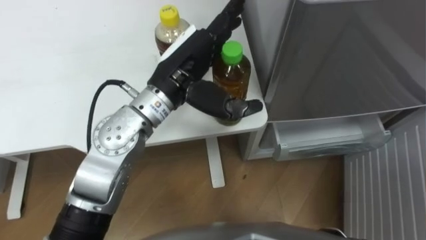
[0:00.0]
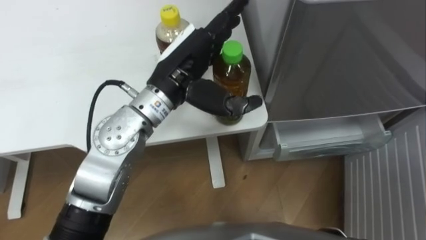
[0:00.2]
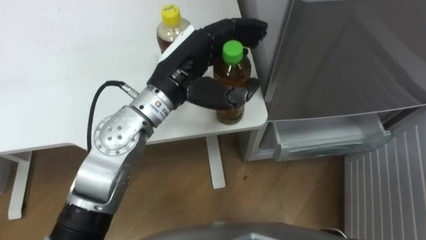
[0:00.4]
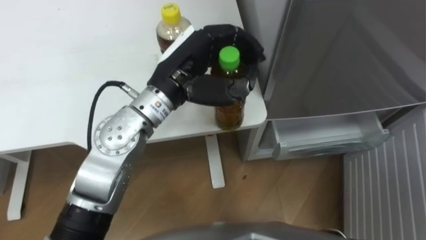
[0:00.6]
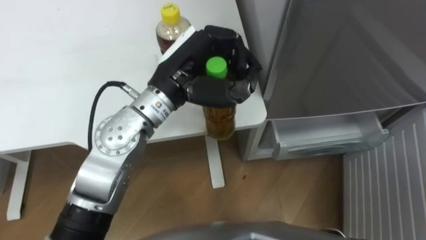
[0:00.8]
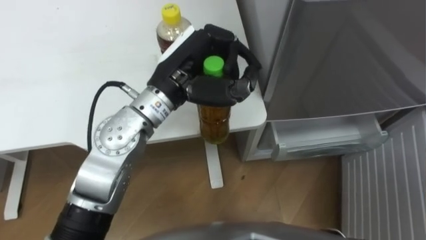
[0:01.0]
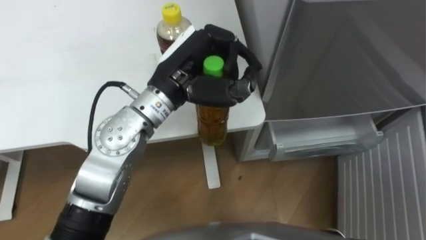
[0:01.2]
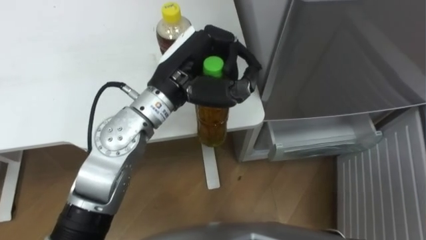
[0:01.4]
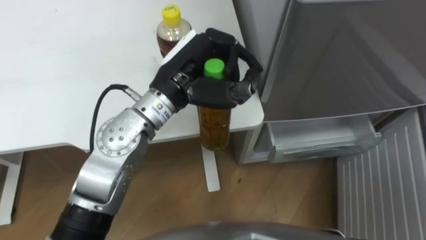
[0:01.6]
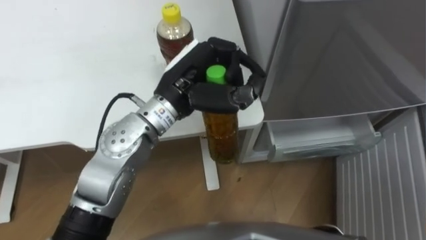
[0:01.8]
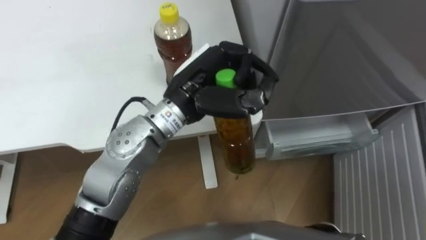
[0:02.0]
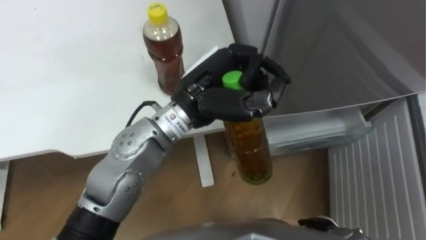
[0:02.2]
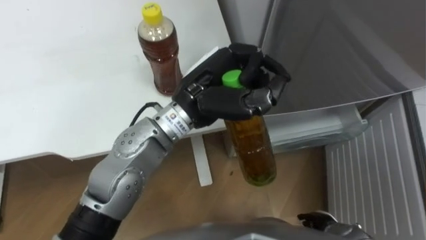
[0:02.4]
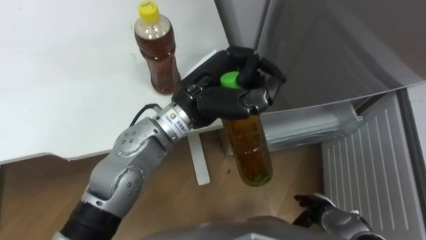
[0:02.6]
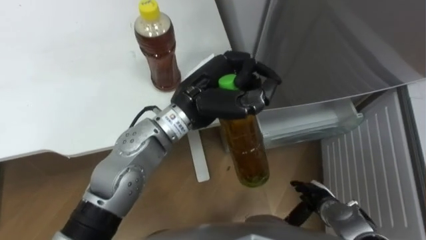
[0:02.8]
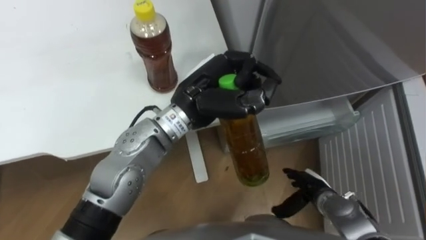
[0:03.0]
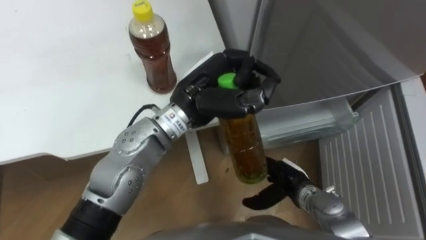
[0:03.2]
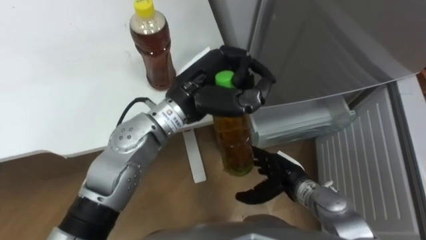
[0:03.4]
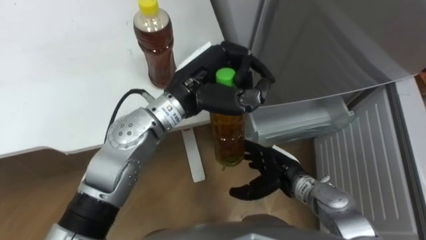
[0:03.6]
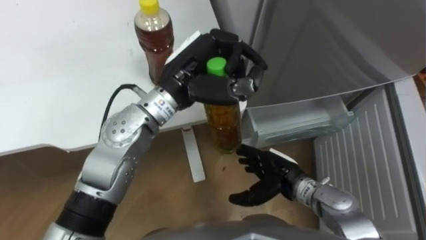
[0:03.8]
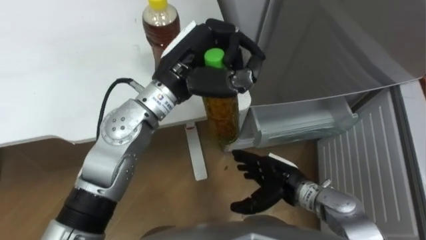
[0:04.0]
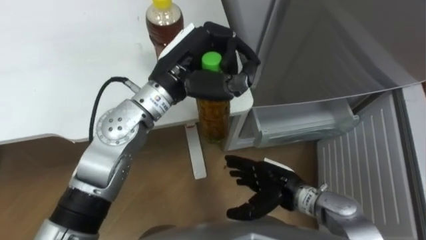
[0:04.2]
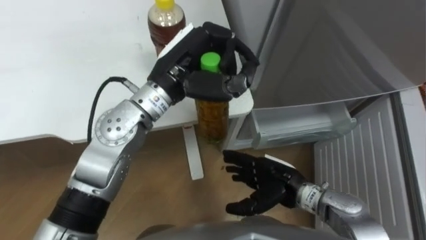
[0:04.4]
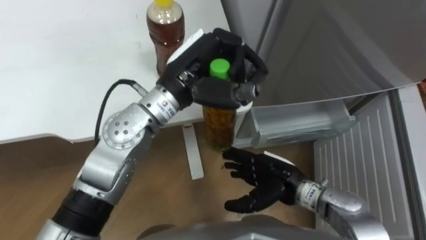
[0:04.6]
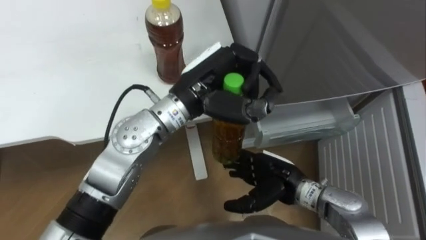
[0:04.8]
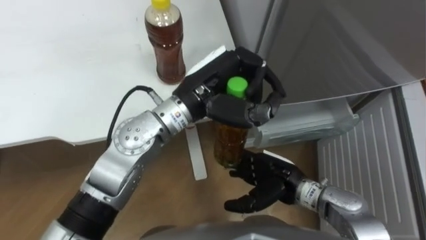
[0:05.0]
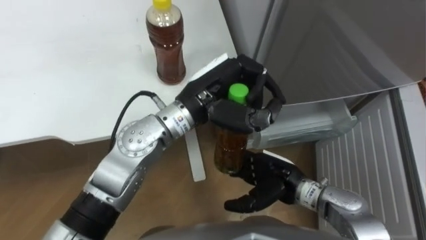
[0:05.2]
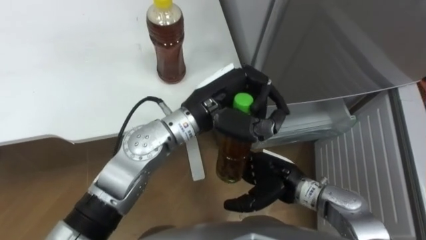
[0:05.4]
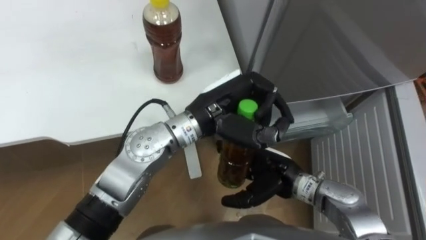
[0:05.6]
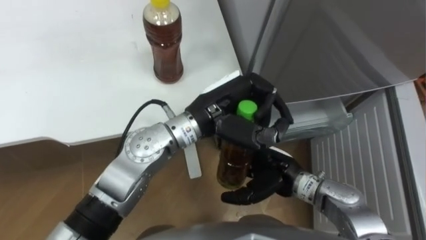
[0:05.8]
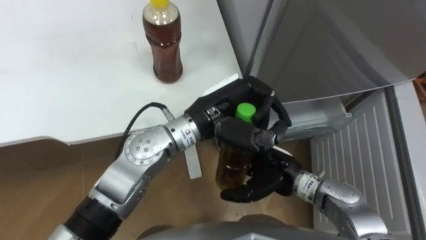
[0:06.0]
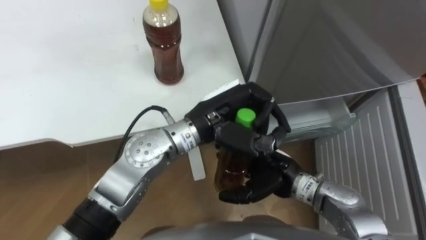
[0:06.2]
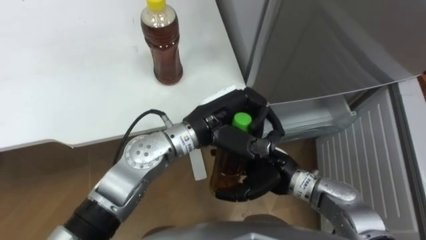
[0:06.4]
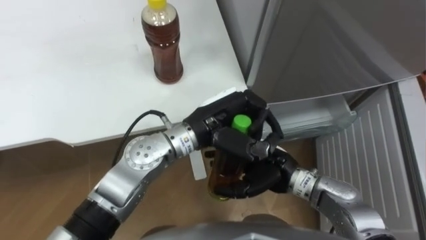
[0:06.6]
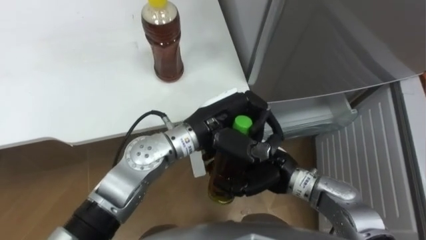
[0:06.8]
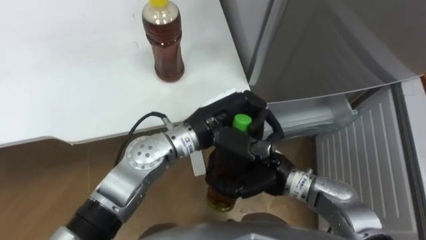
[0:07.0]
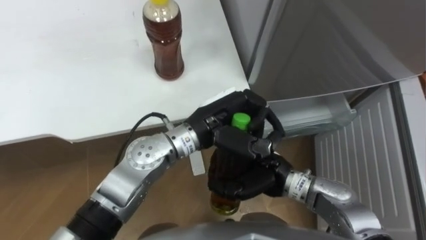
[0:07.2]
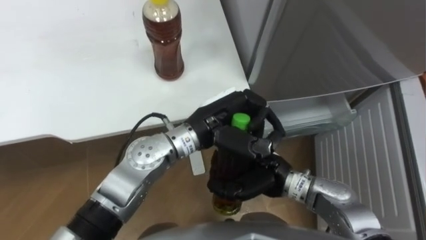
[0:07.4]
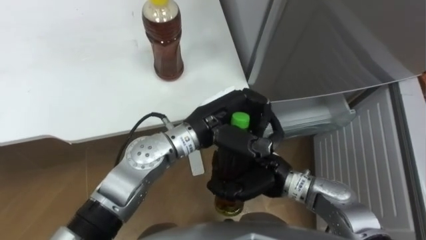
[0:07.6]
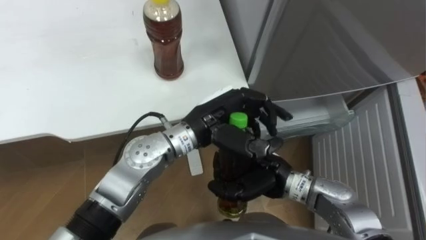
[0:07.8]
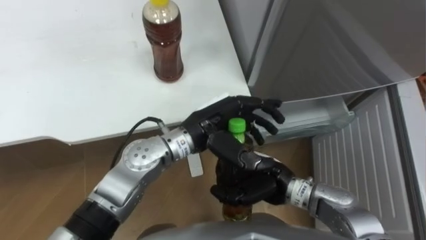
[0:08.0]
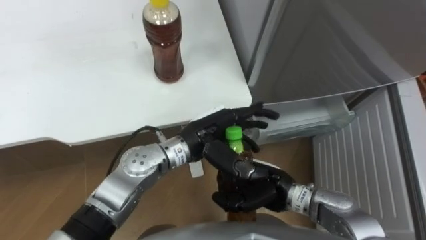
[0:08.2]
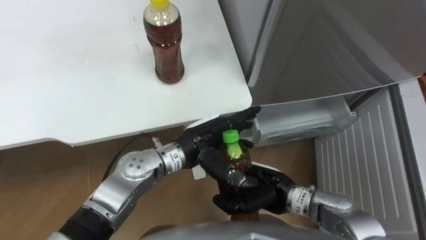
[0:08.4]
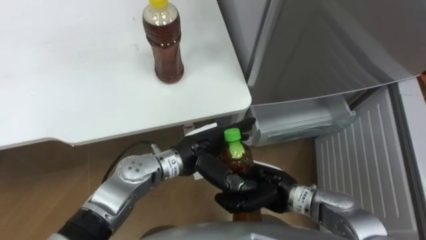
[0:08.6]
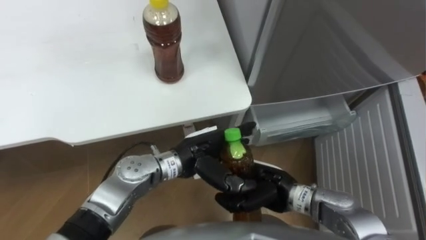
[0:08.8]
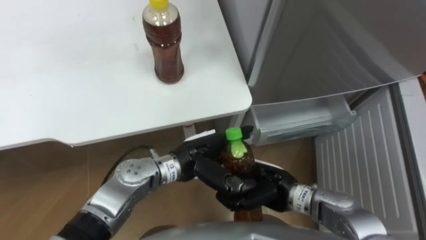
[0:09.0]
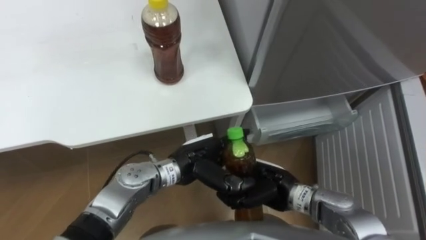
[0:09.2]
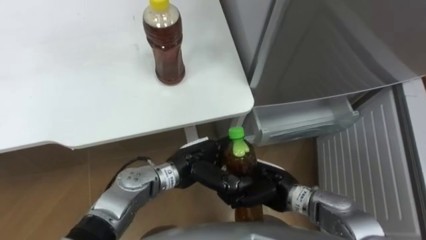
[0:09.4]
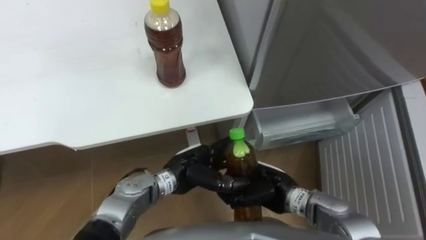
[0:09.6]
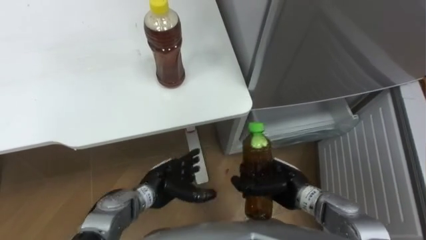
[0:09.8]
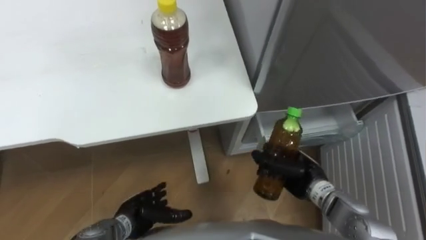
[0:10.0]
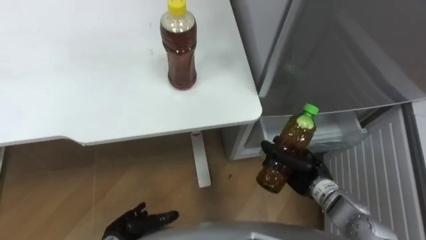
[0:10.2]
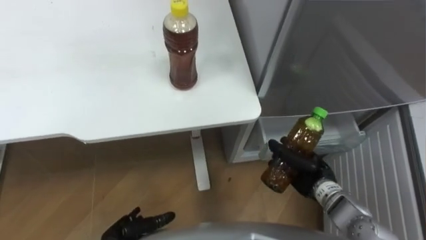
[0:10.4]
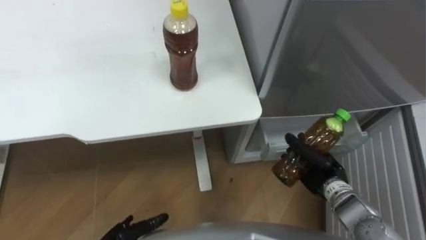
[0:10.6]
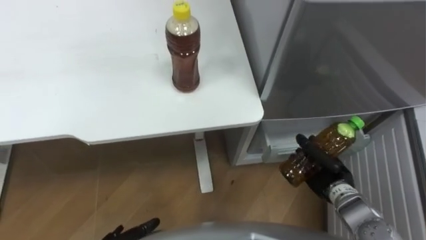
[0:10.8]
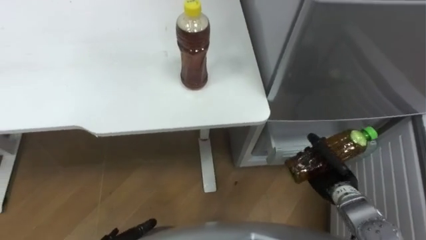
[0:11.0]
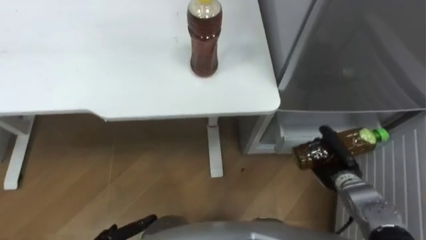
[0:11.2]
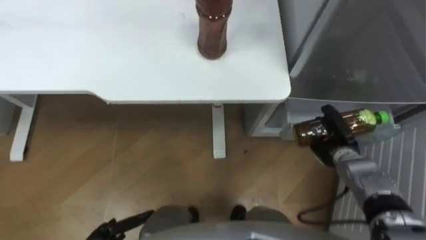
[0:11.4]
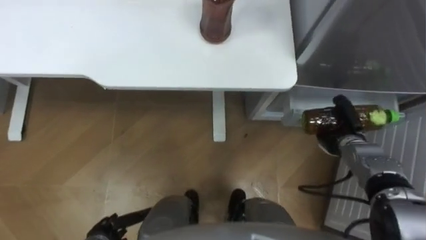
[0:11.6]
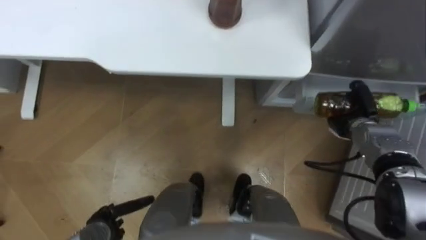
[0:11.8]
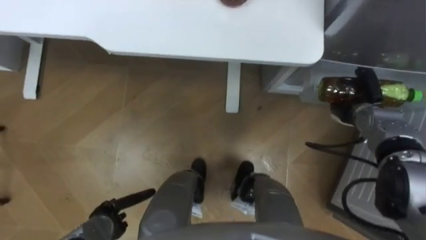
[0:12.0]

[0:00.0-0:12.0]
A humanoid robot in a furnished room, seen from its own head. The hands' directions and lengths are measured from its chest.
Task of the whole recording: Place the drink on the table on the bottom shelf of the refrigerator, then close the drawer and the refrigerator door.
0:00.0 to 0:01.6: The left hand closes its fingers.
0:03.0 to 0:04.4: The left hand changes place by roughly 5 cm; the right hand moves to the left and upward, roughly 10 cm.
0:04.4 to 0:06.0: The left hand shifts about 5 cm to the right.
0:06.0 to 0:07.6: The right hand closes up.
0:07.6 to 0:09.0: The left hand shifts about 10 cm downward, and opens up.
0:09.0 to 0:10.4: The right hand goes approximately 10 cm to the right. Meanwhile the left hand travels to the left, downward and backward by some 25 cm.
0:10.4 to 0:12.0: The right hand heads forward and to the right, covering roughly 15 cm.

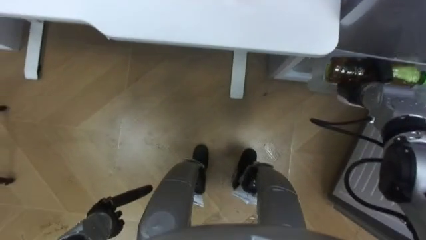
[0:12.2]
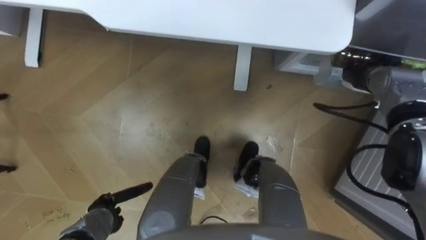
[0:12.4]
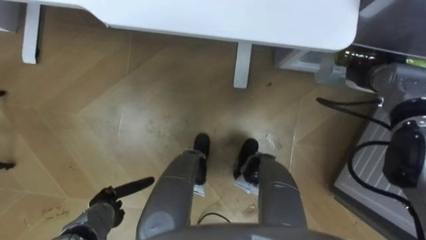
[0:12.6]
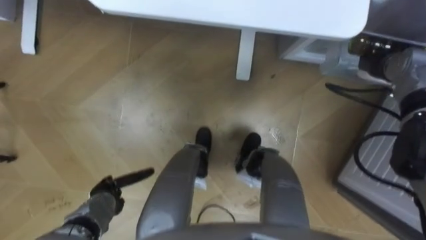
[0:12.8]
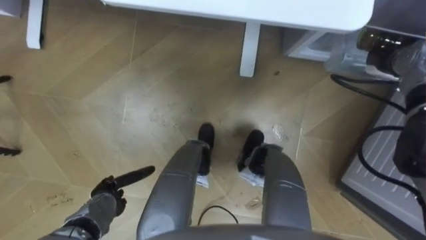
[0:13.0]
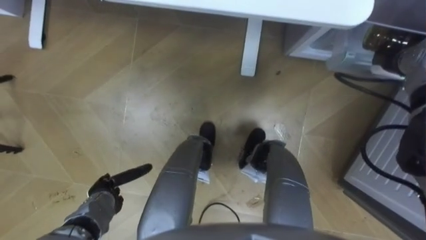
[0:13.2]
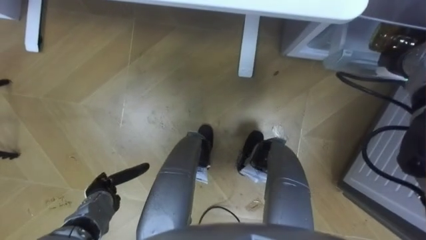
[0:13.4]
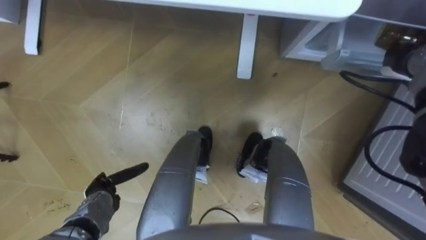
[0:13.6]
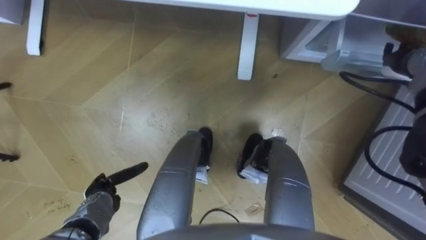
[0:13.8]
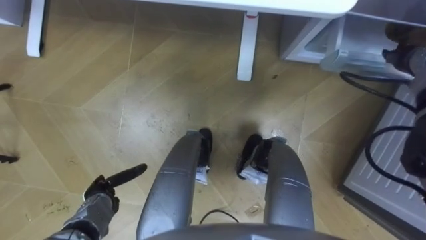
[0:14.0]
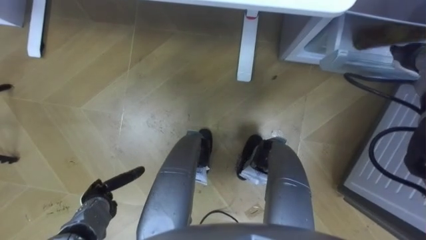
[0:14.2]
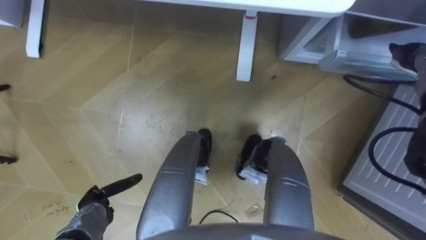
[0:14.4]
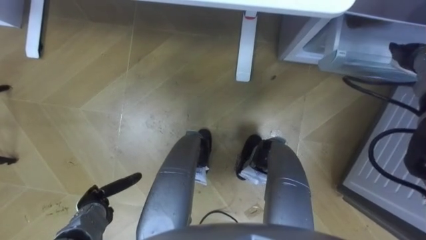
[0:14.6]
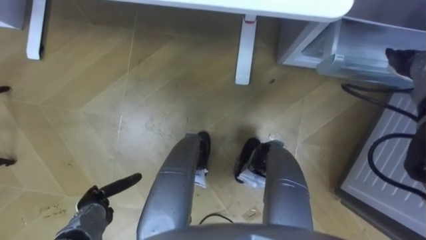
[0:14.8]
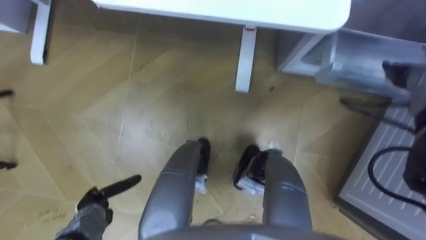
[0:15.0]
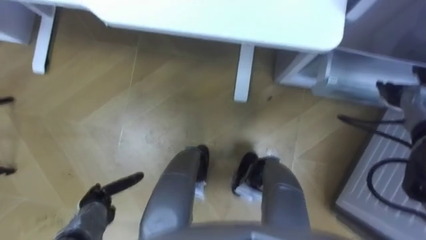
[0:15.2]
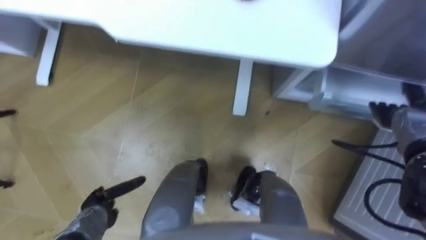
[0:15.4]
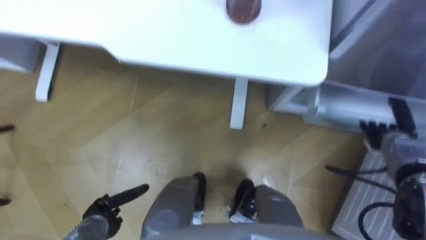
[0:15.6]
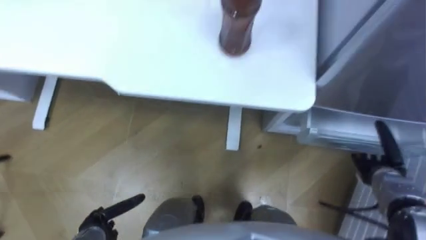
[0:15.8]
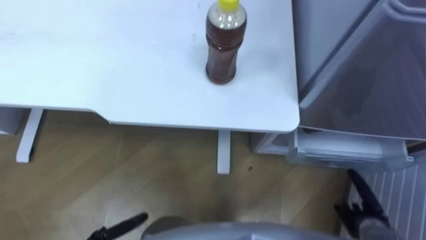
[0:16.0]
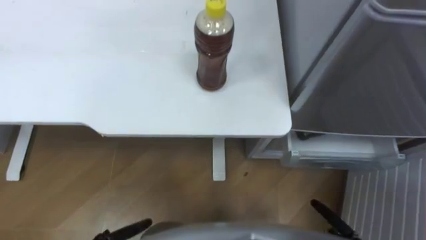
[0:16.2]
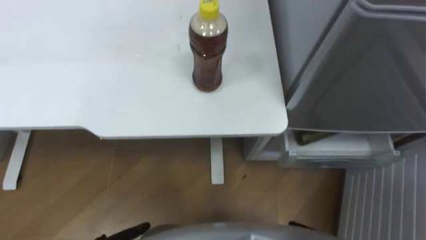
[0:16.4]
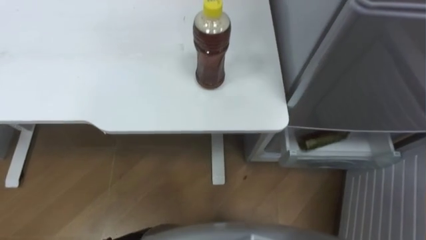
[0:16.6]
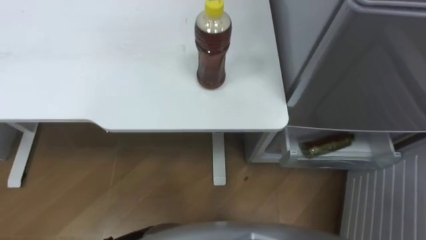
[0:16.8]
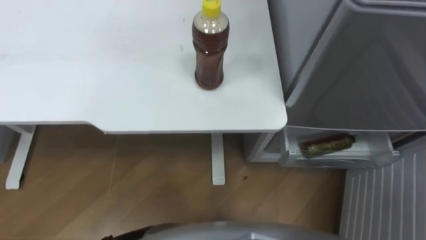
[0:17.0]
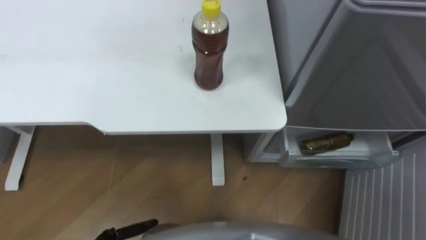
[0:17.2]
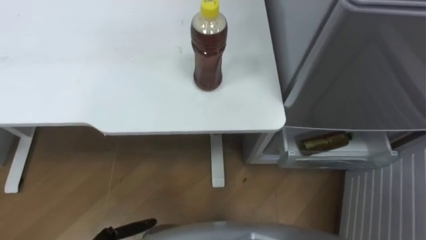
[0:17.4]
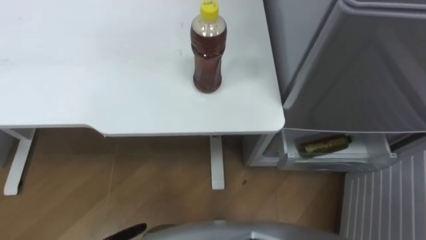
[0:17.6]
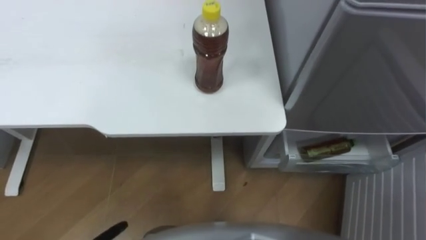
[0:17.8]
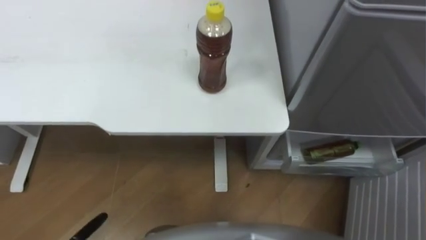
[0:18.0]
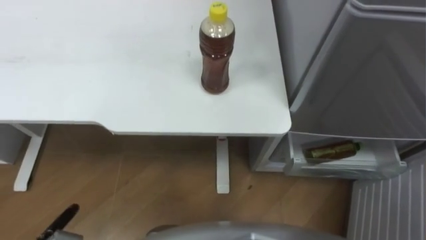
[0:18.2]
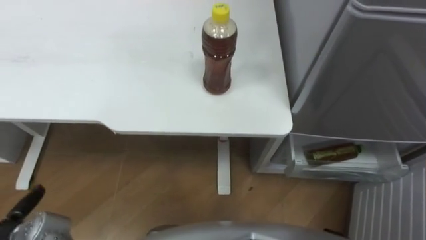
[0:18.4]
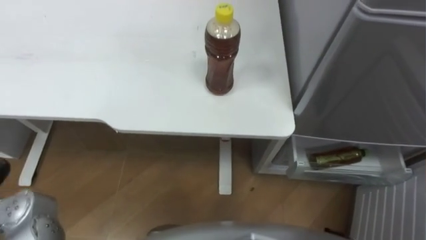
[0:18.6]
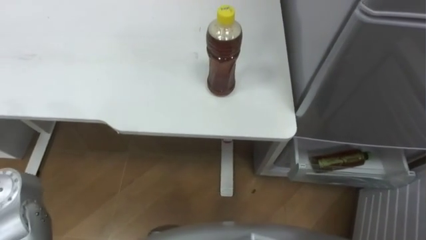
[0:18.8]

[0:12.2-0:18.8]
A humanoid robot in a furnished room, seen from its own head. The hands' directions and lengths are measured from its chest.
Task of the whole recording: Place the drink on the table on the bottom shelf of the refrigerator, then close the drawer and the refrigerator door.
0:12.2 to 0:13.8: The right hand is displaced upward and to the right by approximately 10 cm, and opens, while the left hand goes approximately 5 cm forward.
0:13.8 to 0:15.4: The right hand shifts about 10 cm downward and backward.
